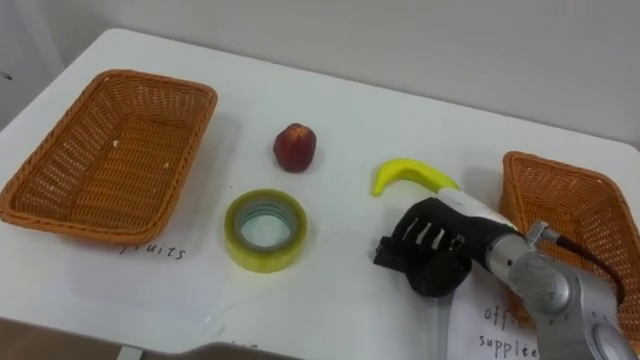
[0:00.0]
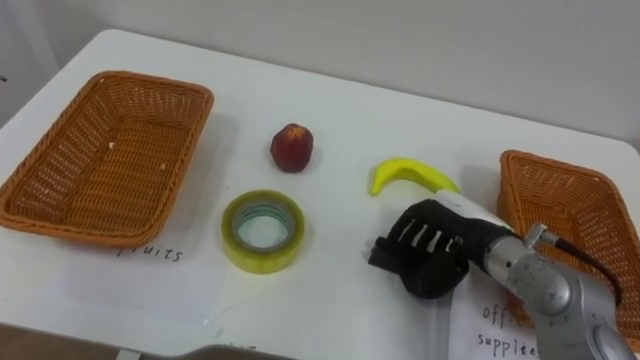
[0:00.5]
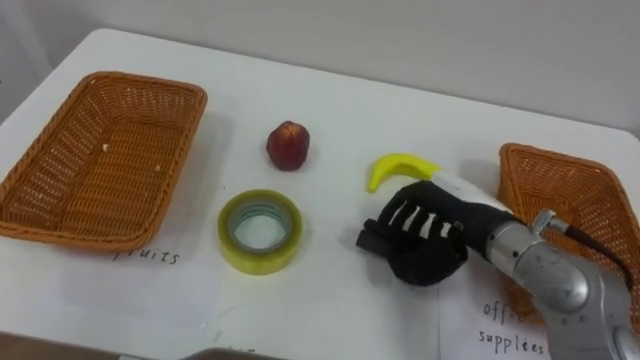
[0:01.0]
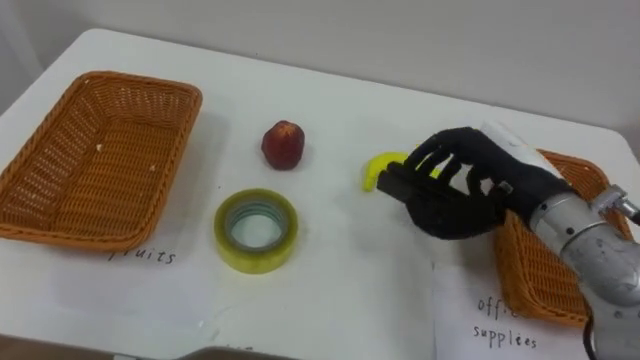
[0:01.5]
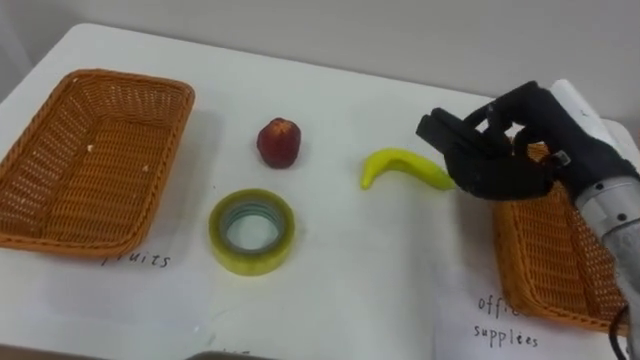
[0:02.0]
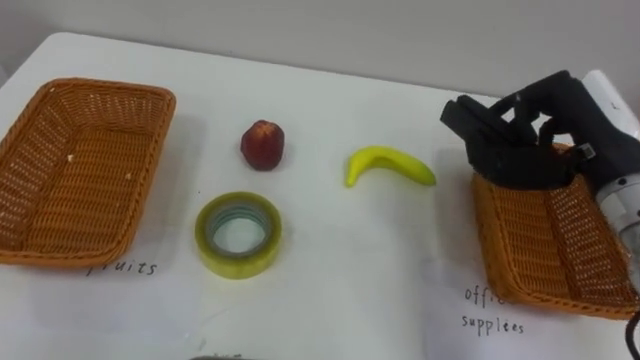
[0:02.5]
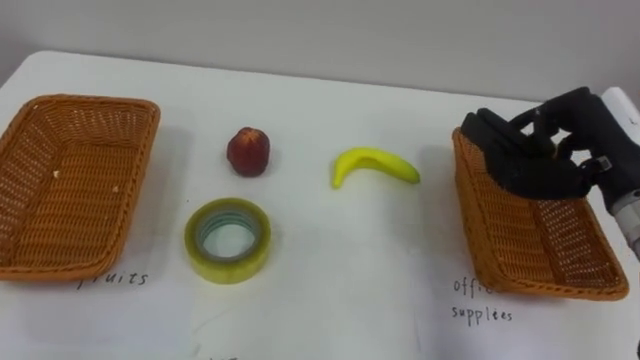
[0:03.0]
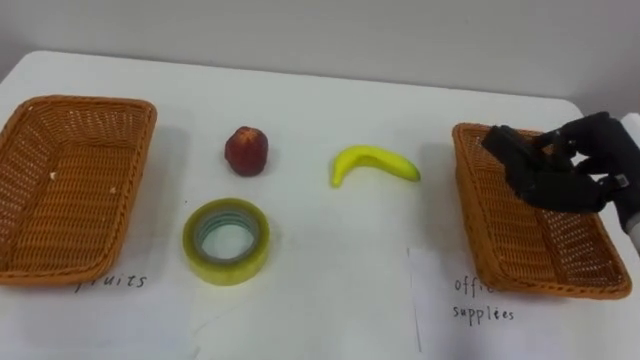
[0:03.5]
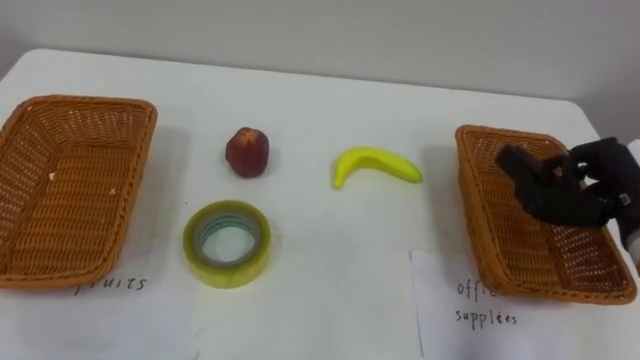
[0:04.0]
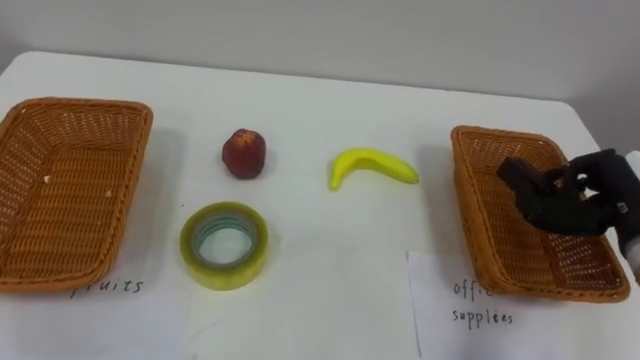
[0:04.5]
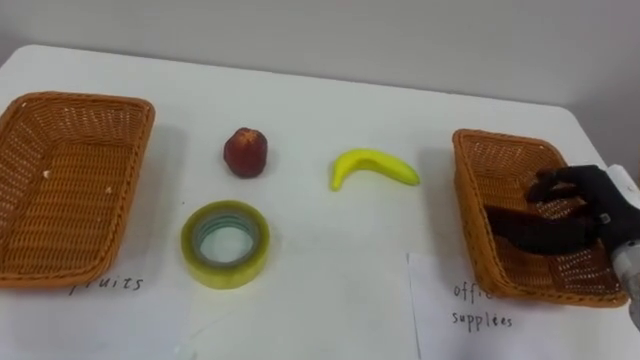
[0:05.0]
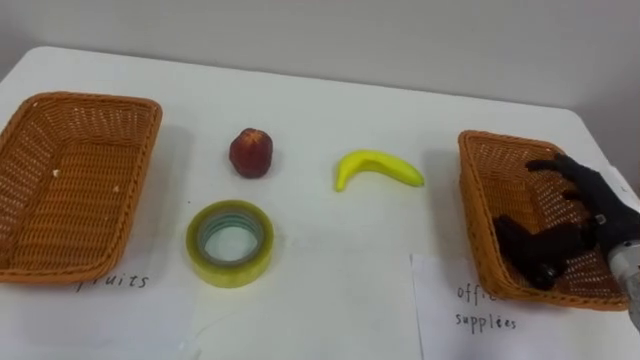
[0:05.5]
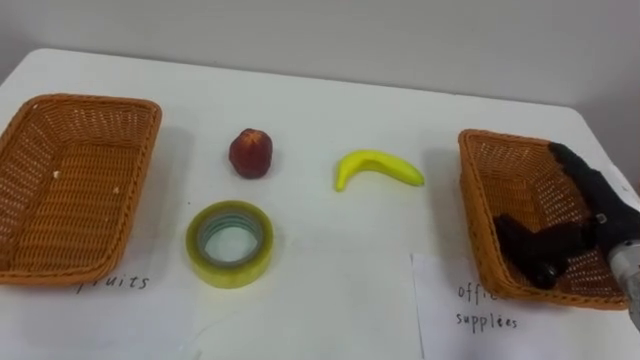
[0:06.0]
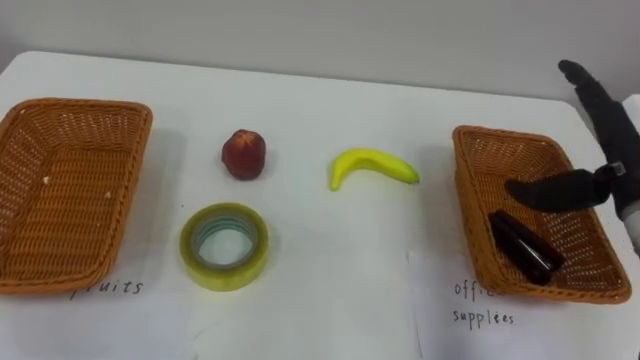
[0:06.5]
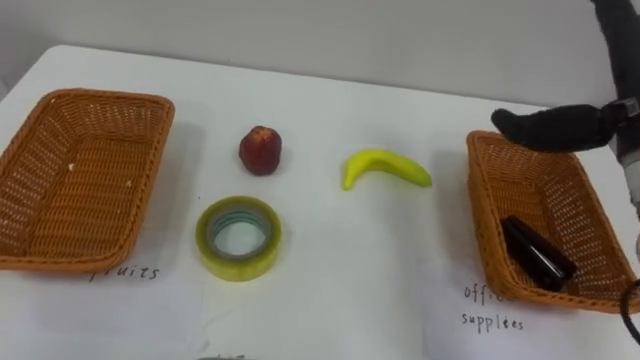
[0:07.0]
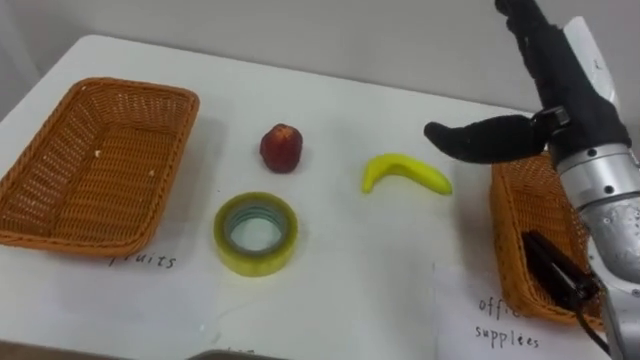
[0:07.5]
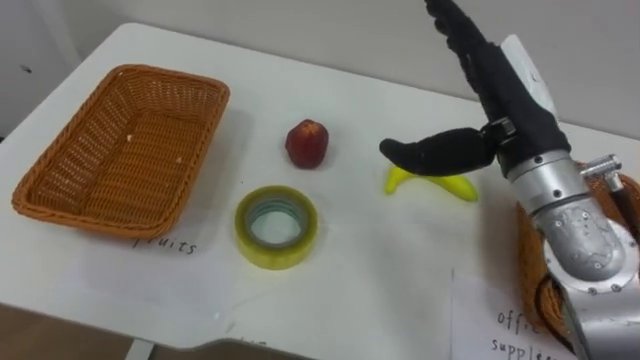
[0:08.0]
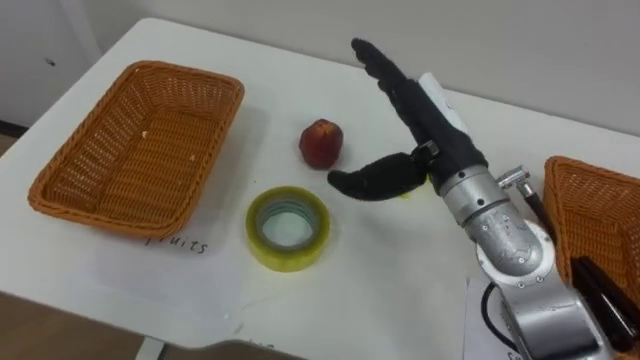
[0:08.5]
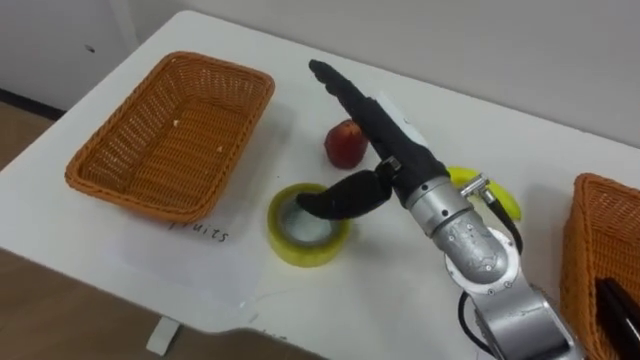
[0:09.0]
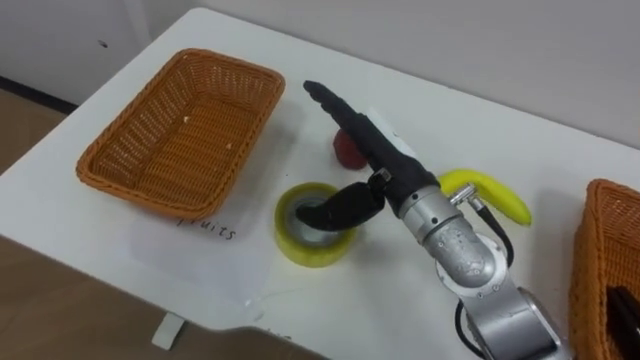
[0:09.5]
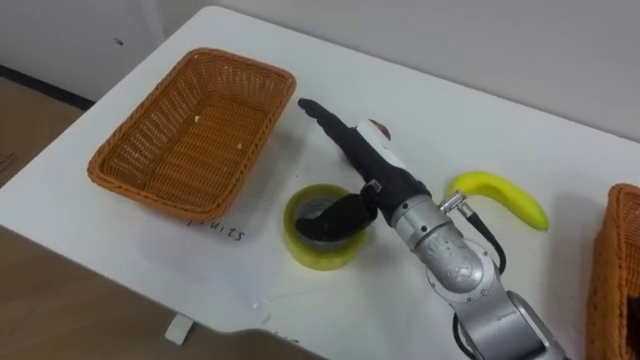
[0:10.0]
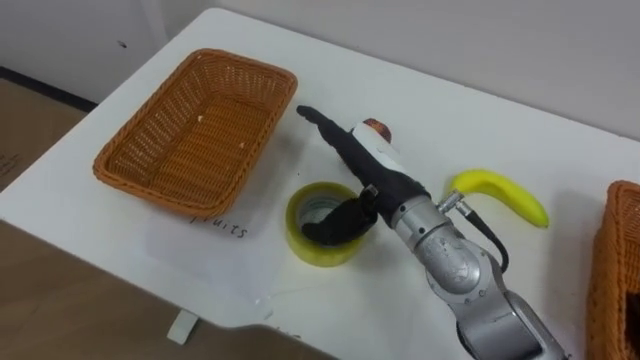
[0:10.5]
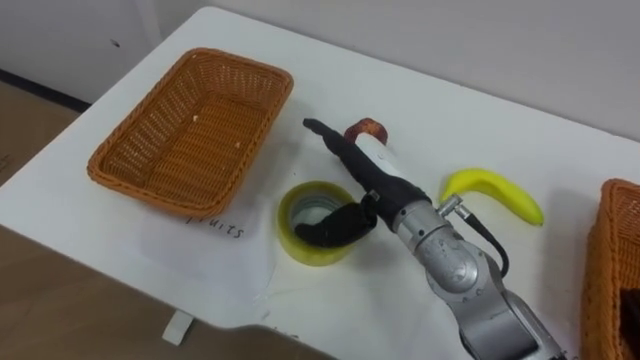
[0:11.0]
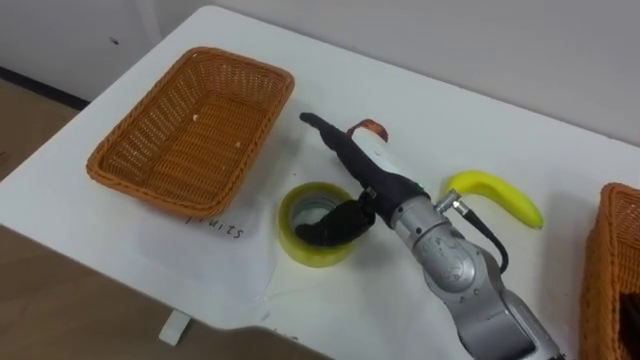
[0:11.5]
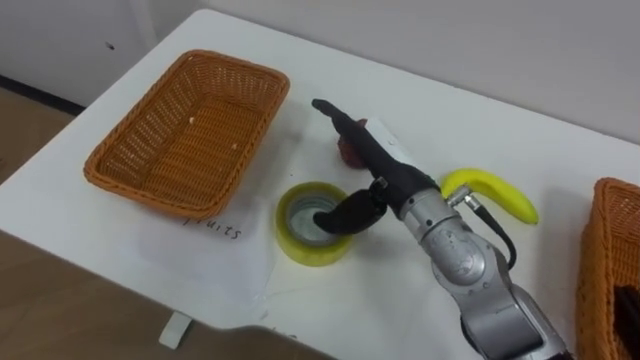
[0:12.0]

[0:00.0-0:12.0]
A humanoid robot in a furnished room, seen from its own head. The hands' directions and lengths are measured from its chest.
Task of the whole recording: Separate the items on the table and place them into the two baskets.
0:00.0 to 0:02.0: The right hand is displaced upward and to the right by about 15 cm.
0:02.0 to 0:04.0: The right hand goes approximately 10 cm to the right and downward.
0:04.0 to 0:06.0: The right hand opens up.
0:06.0 to 0:08.0: The right hand travels to the left and upward by some 20 cm.
0:08.0 to 0:10.0: The right hand goes about 15 cm to the left and downward.

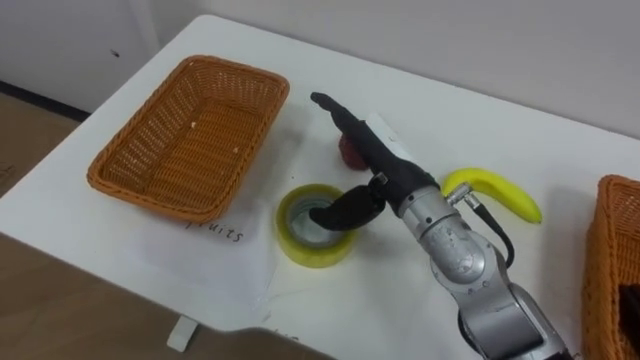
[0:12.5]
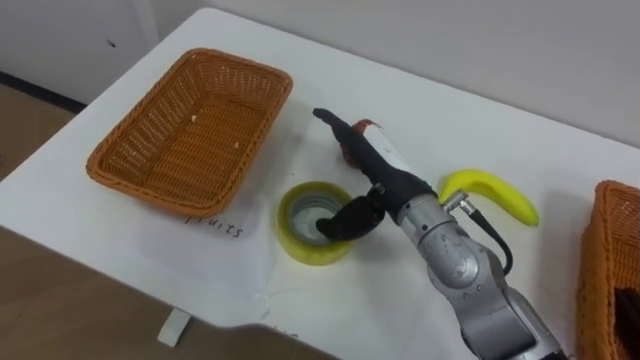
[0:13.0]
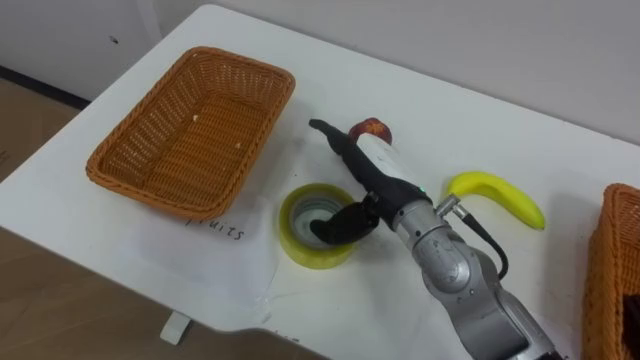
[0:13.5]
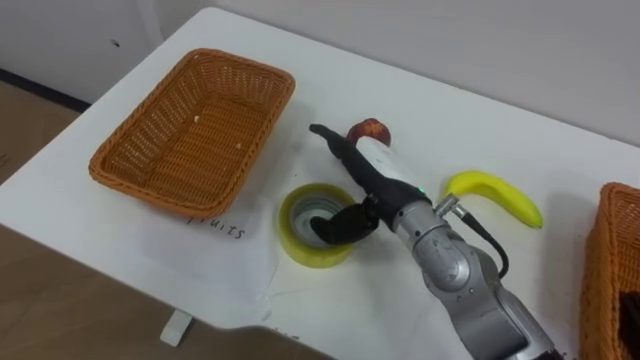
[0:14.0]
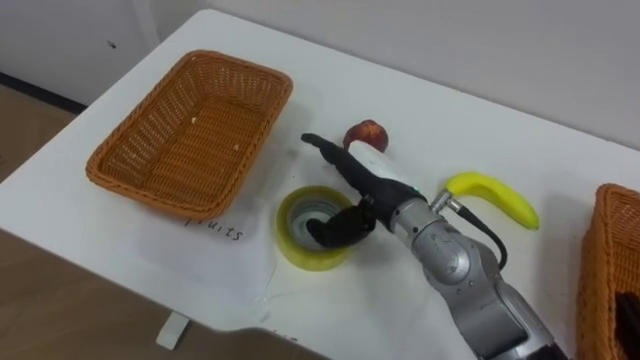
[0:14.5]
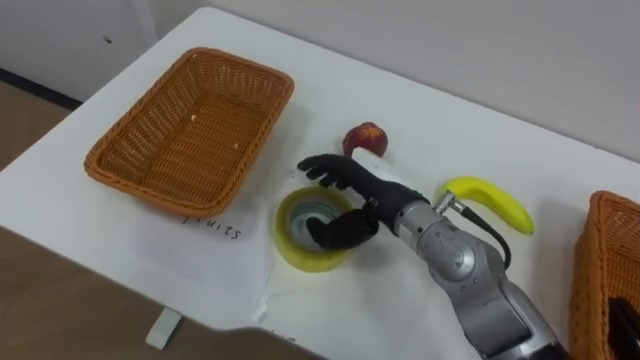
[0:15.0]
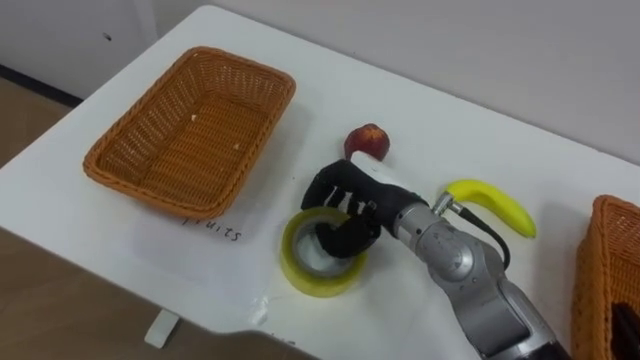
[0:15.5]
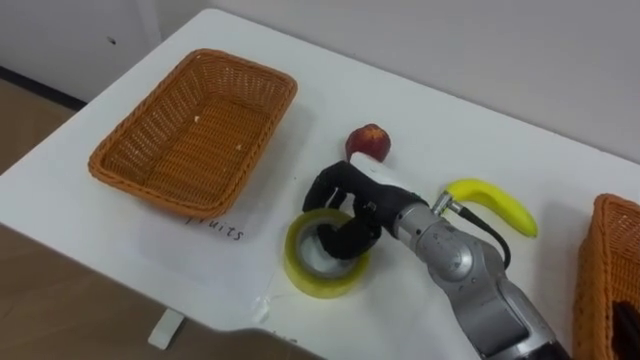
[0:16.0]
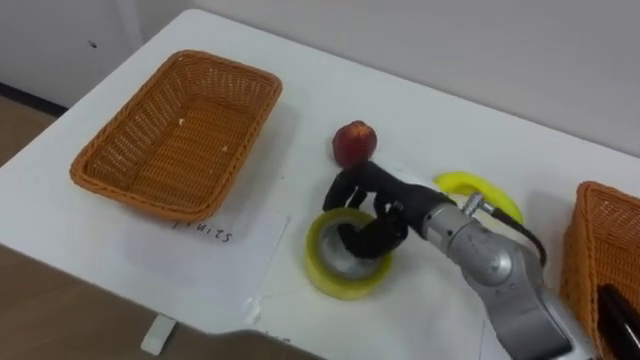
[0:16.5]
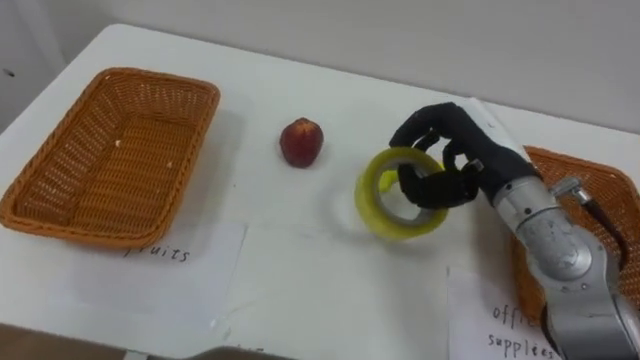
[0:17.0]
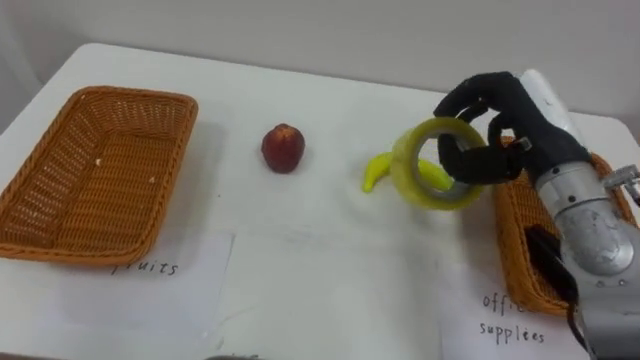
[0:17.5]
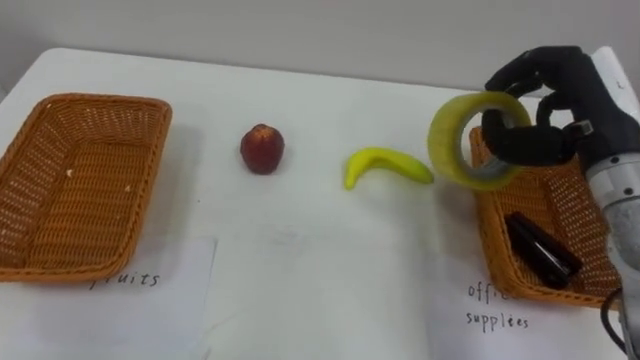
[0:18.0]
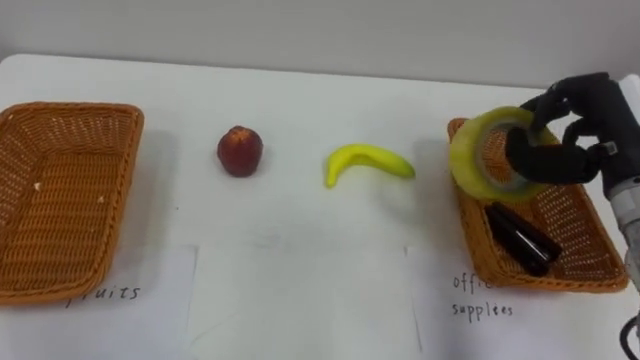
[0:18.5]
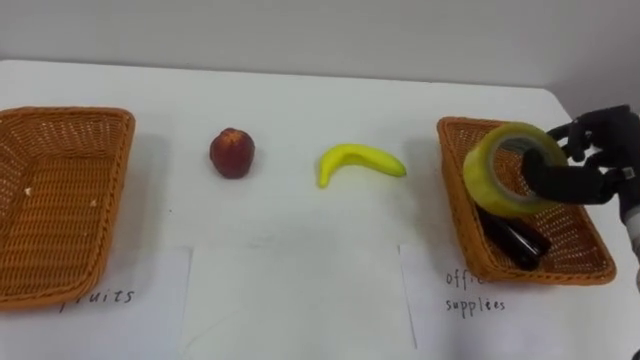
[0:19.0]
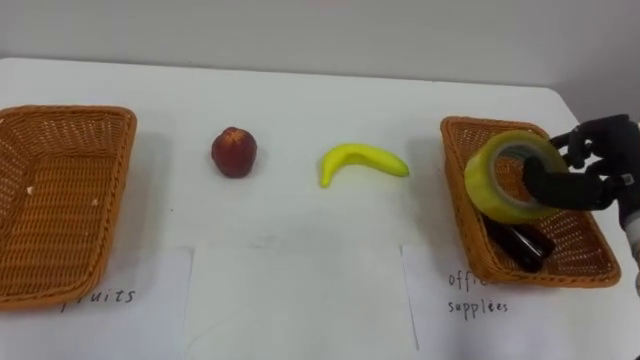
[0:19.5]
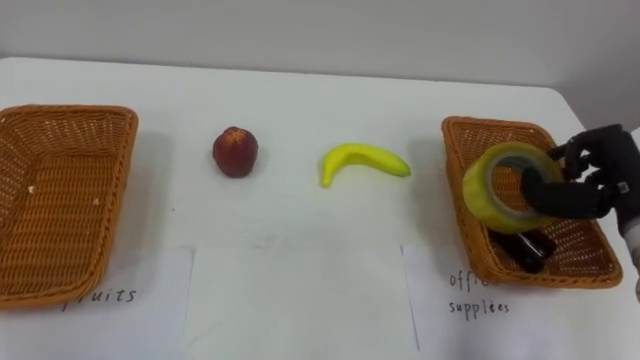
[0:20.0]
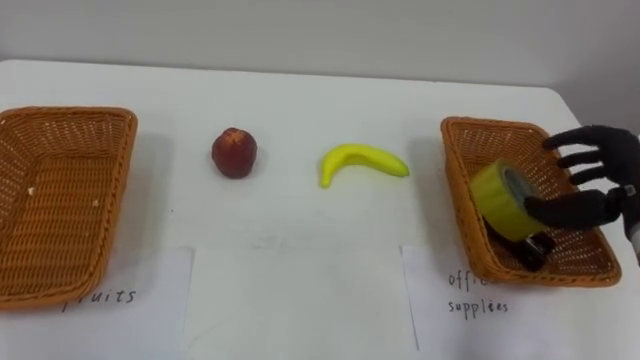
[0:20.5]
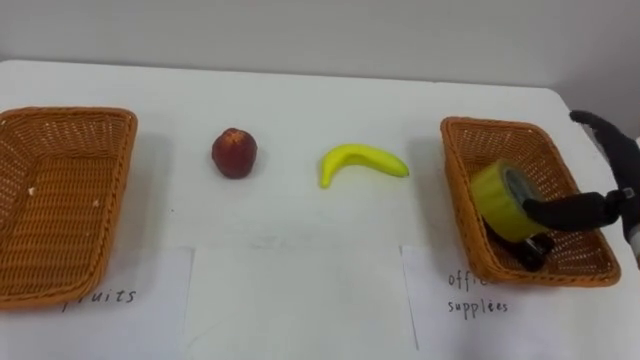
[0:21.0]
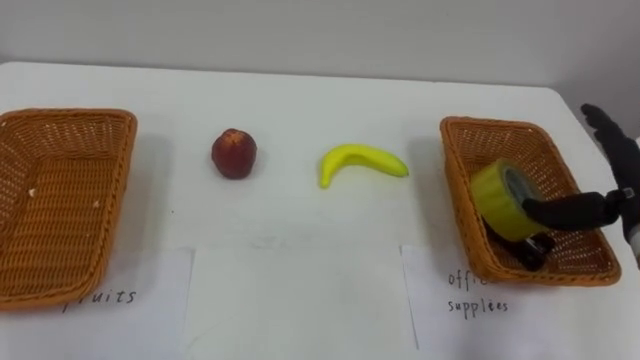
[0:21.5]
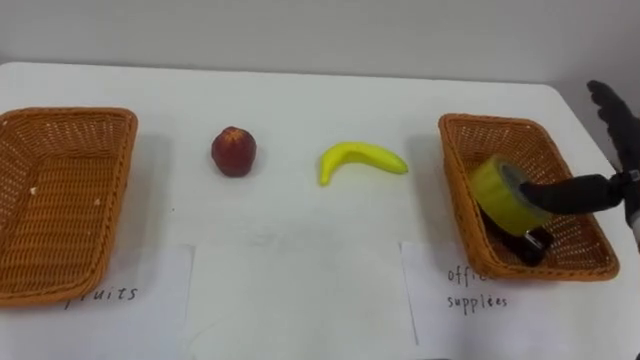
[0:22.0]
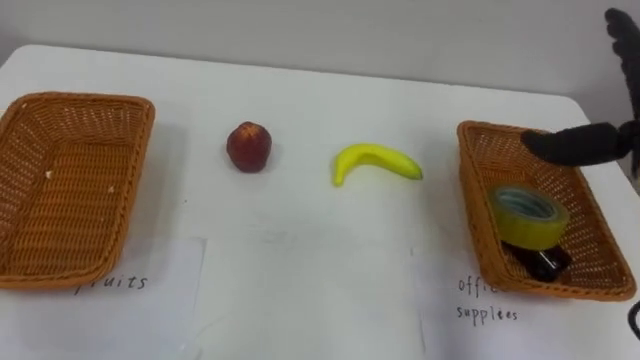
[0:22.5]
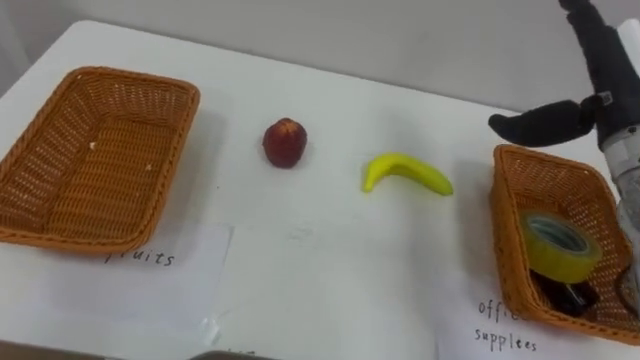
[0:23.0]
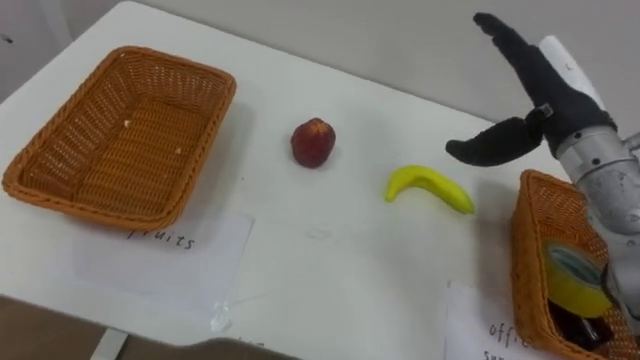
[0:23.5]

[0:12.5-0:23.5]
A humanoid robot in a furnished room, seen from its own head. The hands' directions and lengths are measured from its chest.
Task of the whole recording: Separate the items on the table and place them into the two baskets.
0:14.5 to 0:16.0: The right hand closes.
0:16.0 to 0:18.0: The right hand moves to the right and upward, approximately 25 cm.
0:18.0 to 0:20.0: The right hand is displaced downward and to the right by about 10 cm.
0:20.0 to 0:21.5: The right hand opens its fingers.
